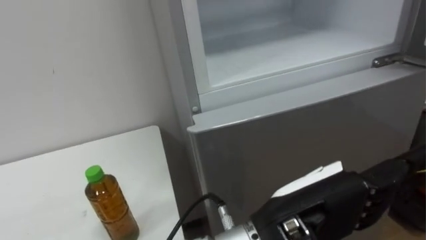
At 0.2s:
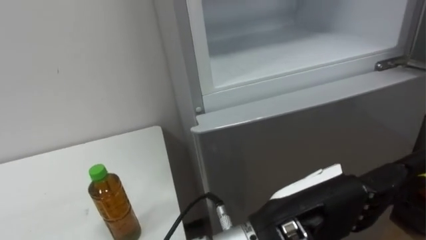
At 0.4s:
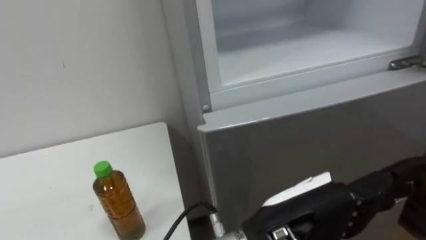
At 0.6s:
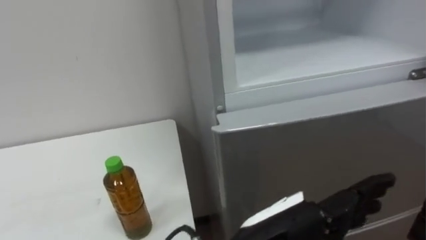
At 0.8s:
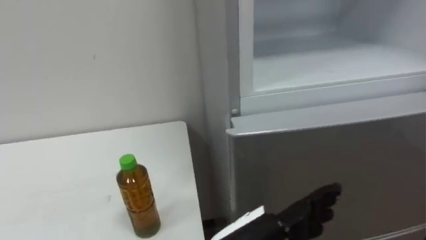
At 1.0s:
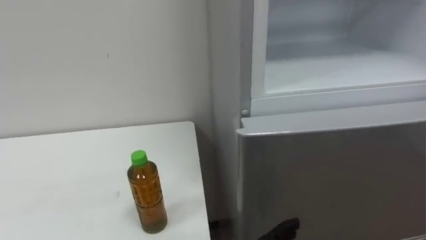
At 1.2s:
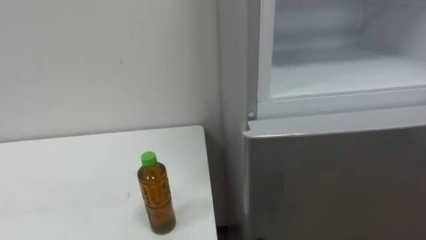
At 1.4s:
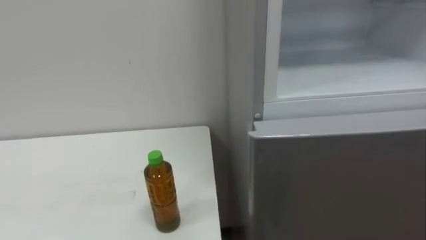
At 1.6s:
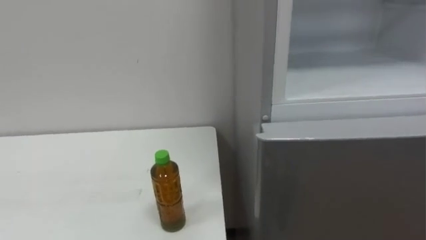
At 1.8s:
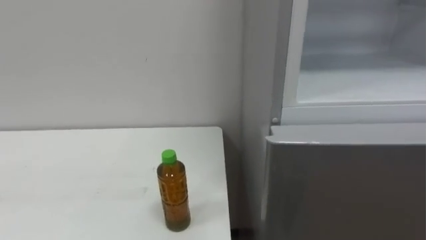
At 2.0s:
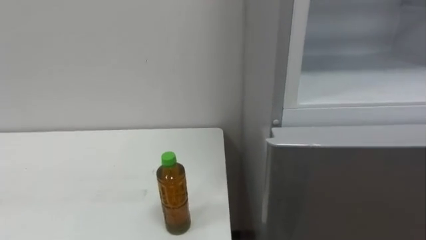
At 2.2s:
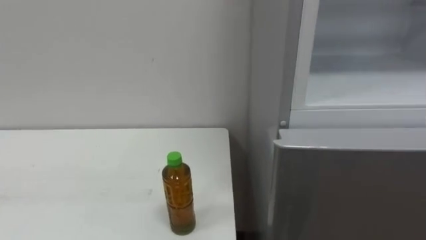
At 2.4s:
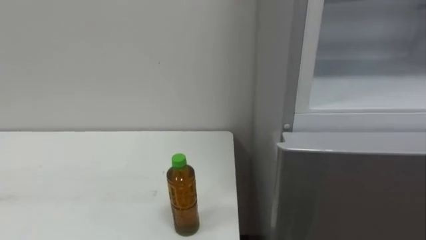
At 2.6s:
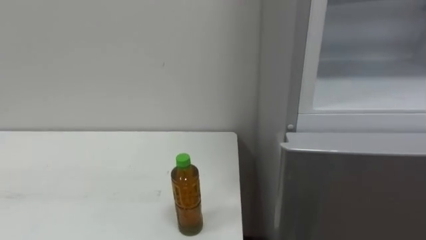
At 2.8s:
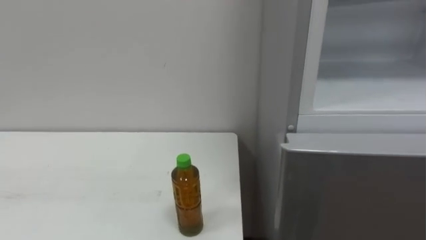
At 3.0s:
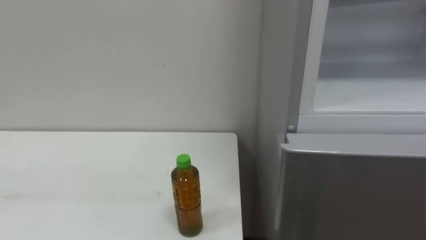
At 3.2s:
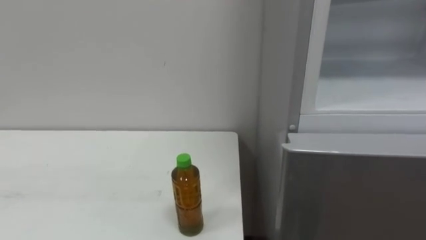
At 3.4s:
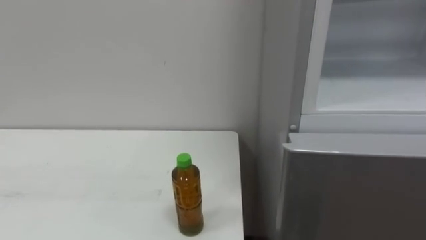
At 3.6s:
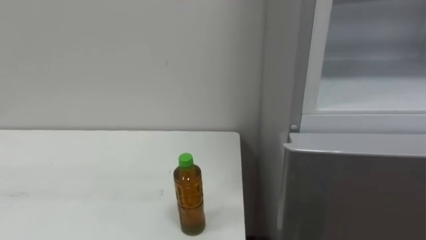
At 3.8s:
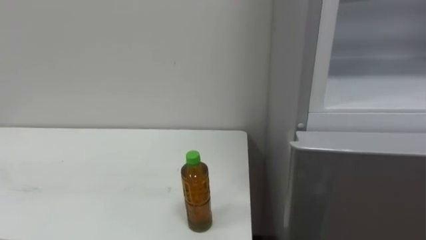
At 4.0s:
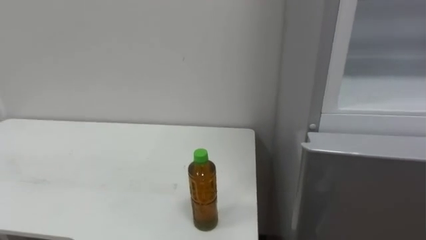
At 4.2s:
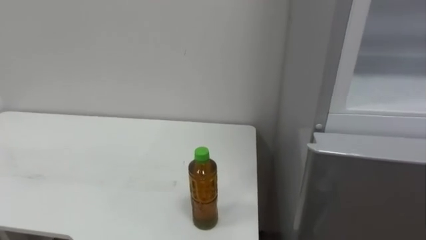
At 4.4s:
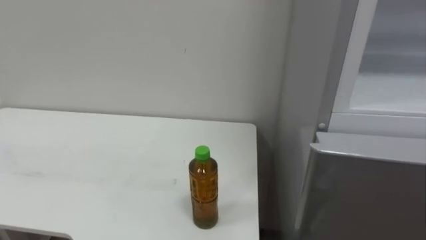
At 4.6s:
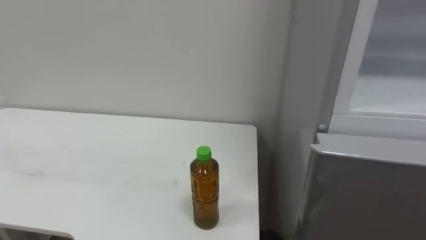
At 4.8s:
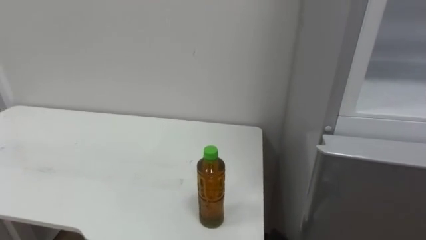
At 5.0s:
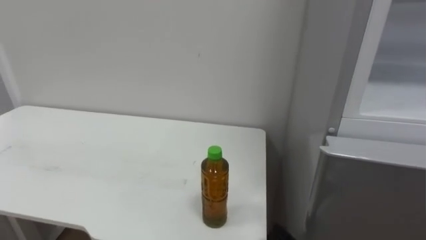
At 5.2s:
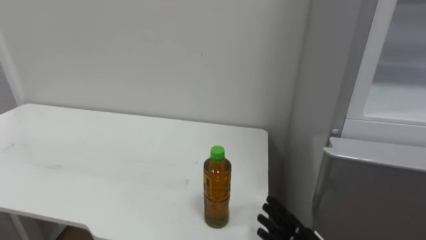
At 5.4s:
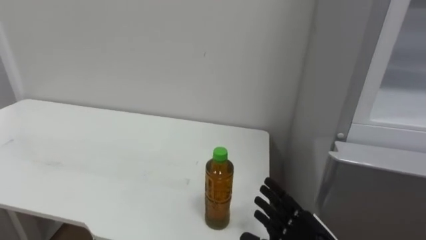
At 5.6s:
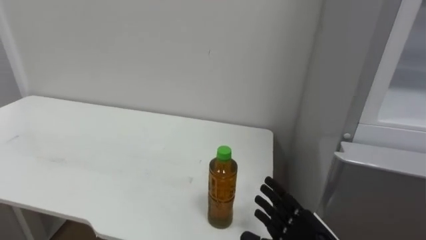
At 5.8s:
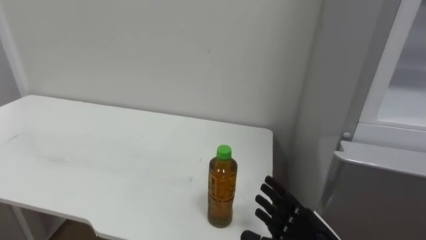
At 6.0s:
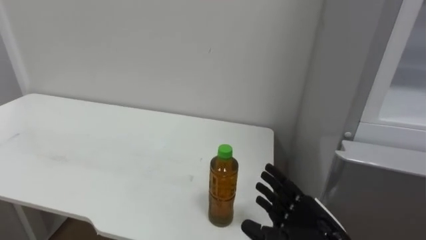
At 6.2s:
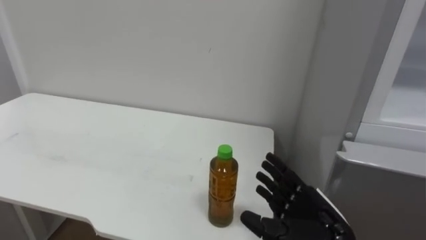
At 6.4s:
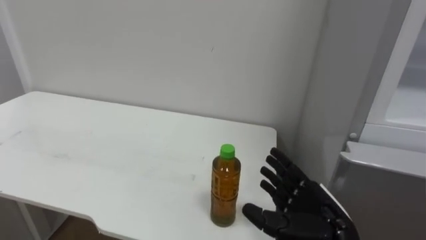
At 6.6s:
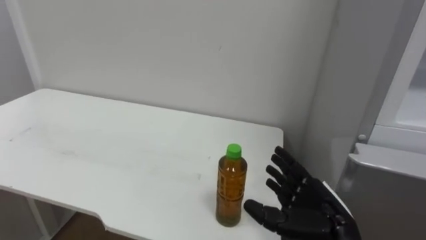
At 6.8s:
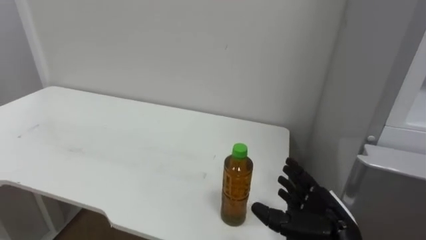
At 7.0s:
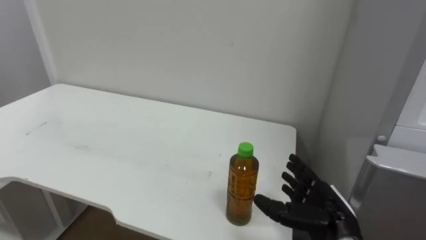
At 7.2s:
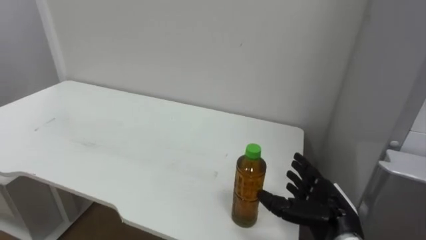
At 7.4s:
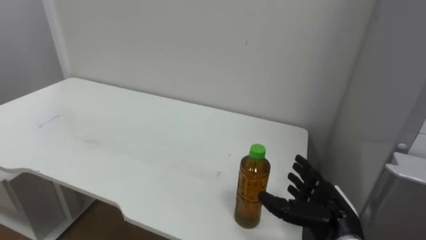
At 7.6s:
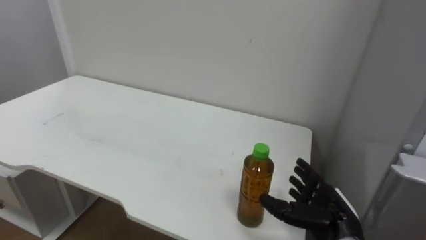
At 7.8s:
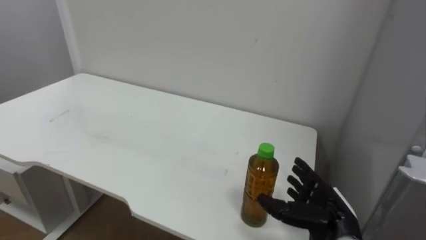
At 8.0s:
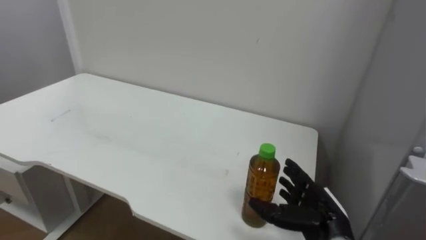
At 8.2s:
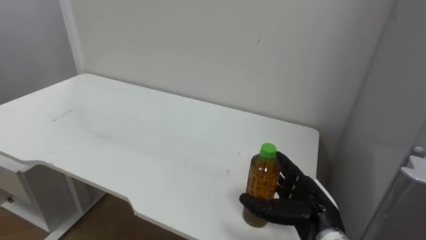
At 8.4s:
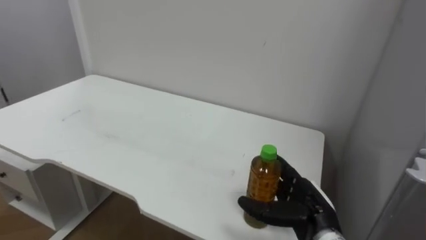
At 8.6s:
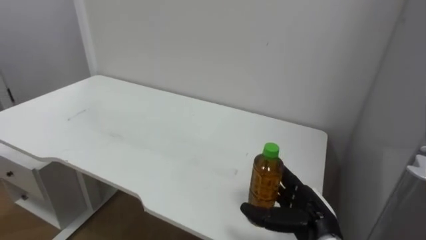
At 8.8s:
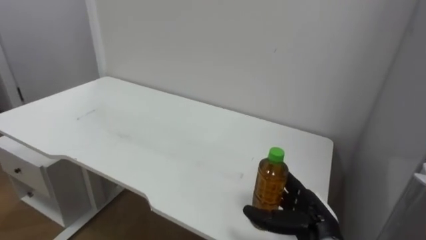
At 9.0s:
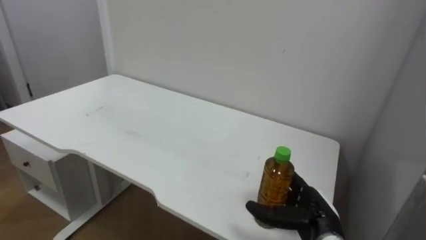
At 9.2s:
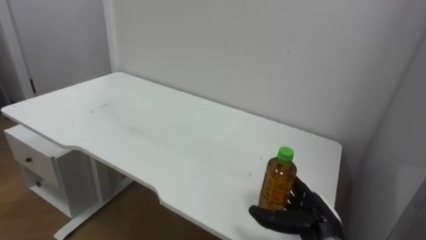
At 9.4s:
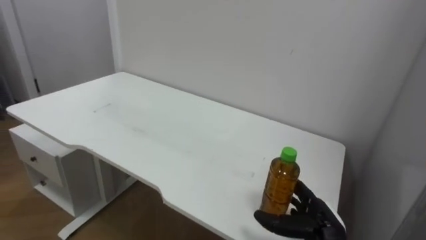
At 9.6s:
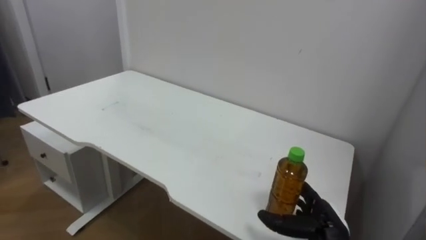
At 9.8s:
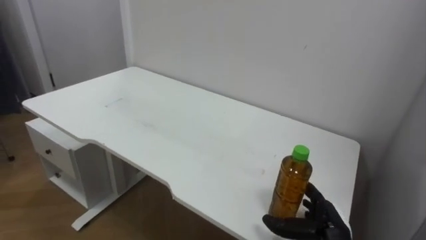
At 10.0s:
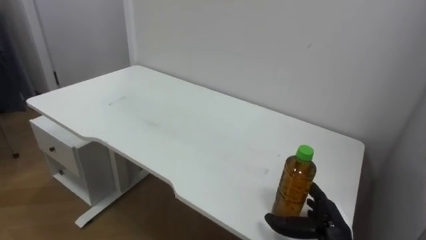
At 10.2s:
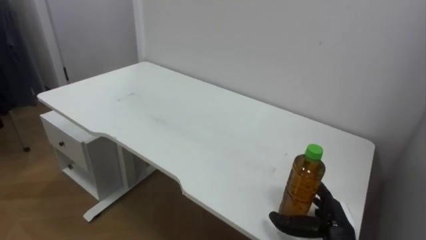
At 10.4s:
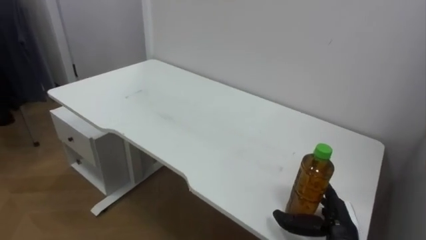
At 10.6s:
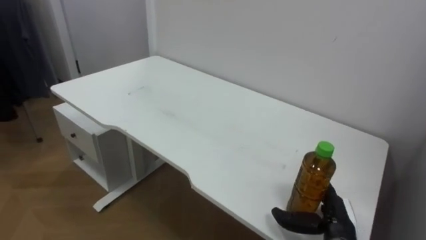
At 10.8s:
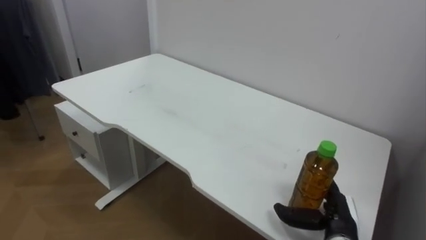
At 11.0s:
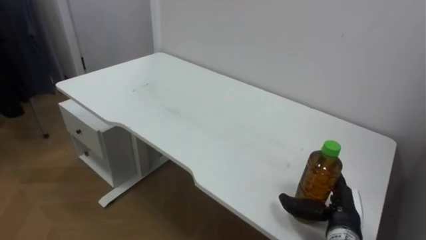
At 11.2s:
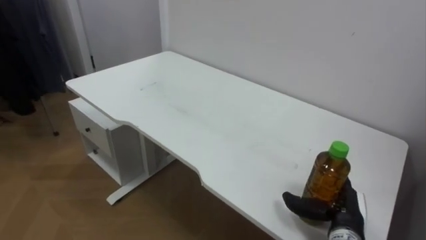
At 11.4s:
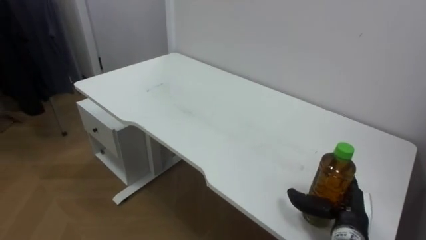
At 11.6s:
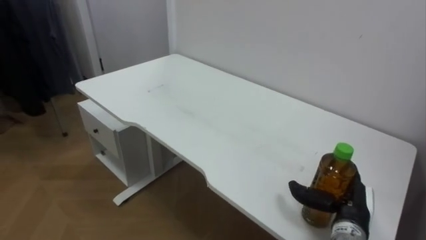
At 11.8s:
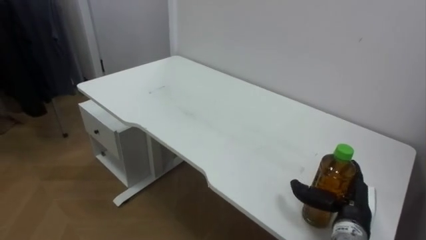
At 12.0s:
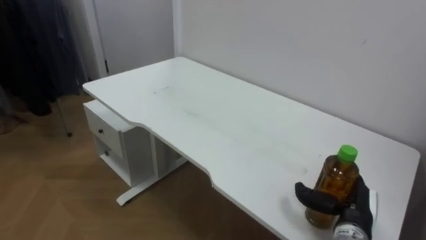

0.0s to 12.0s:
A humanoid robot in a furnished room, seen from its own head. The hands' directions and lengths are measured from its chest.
Task of the whole recording: Open the upper refrigerator door, put the drink from the table into the refrigerator, and then close the refrigerator door.
6.0s to 7.6s: The right hand ends up approximately 5 cm from where it was.
9.0s to 10.4s: The right hand shifts by some 5 cm.

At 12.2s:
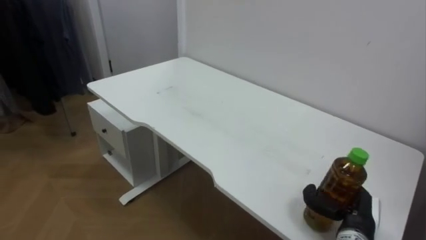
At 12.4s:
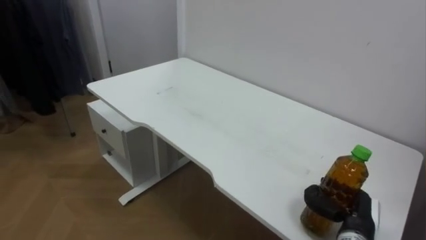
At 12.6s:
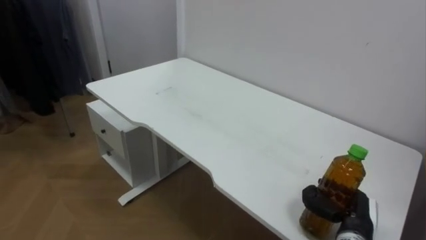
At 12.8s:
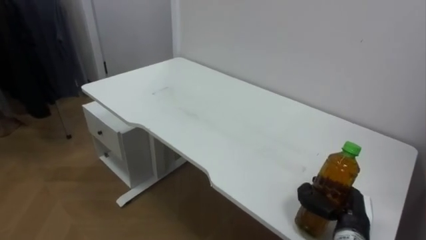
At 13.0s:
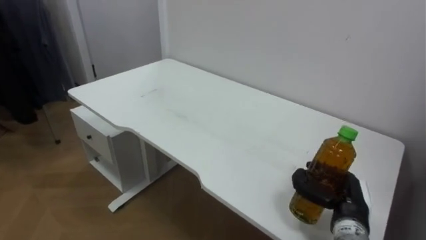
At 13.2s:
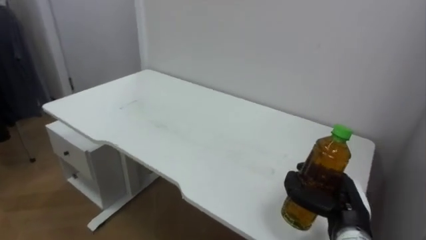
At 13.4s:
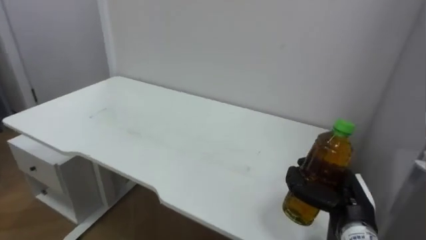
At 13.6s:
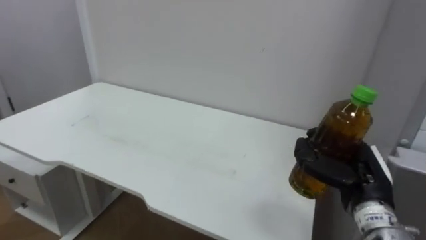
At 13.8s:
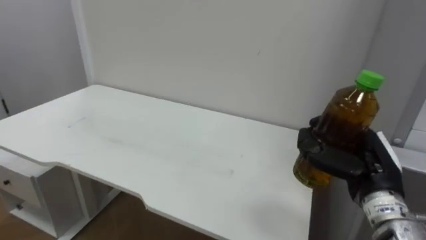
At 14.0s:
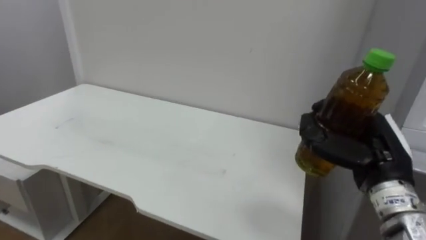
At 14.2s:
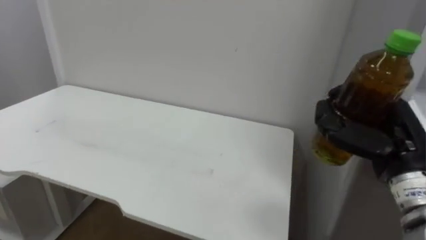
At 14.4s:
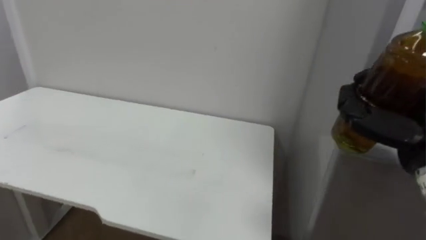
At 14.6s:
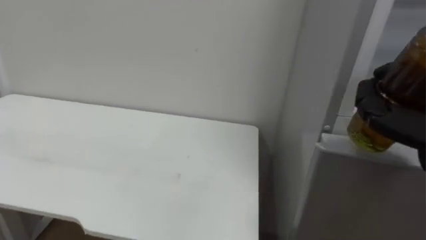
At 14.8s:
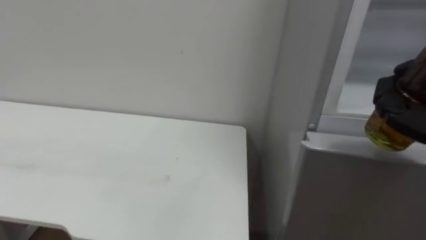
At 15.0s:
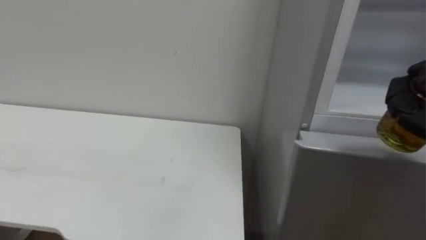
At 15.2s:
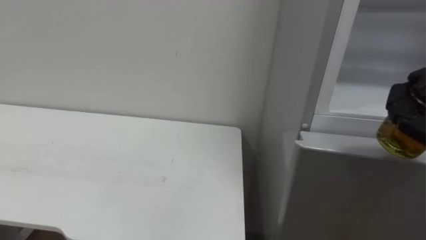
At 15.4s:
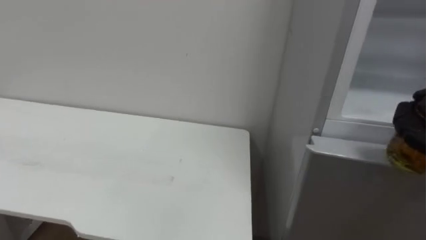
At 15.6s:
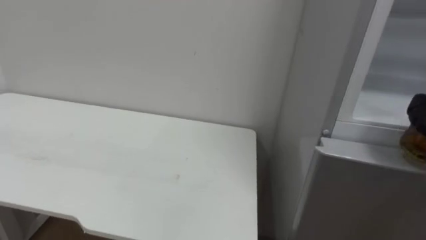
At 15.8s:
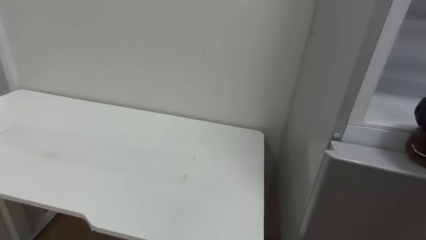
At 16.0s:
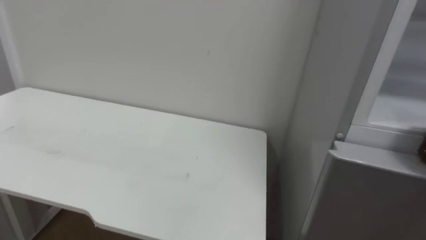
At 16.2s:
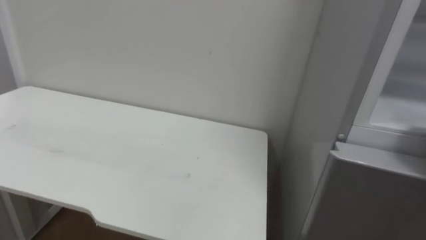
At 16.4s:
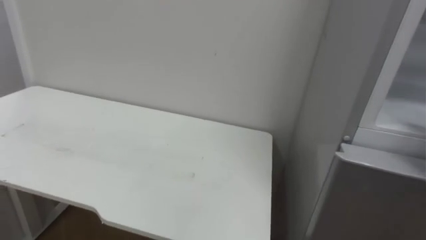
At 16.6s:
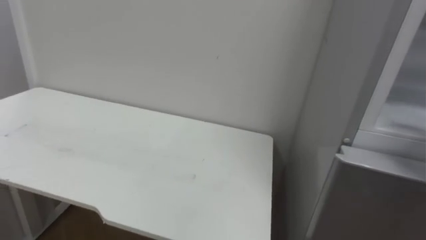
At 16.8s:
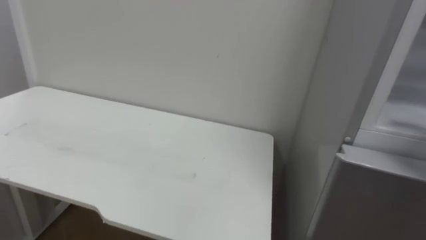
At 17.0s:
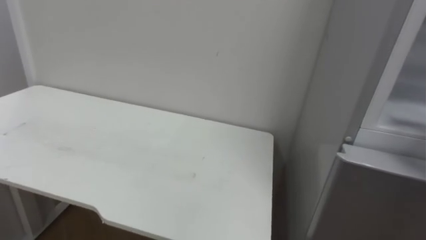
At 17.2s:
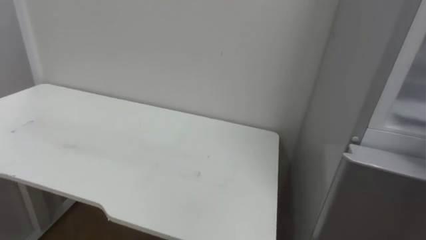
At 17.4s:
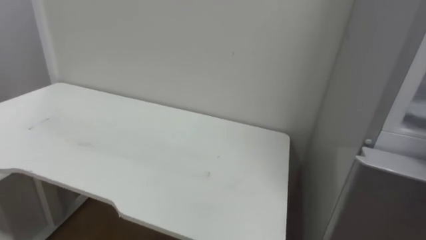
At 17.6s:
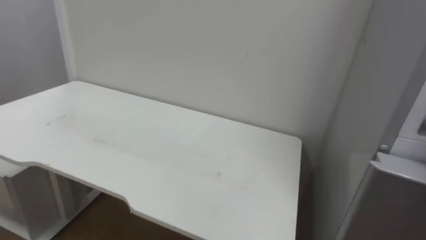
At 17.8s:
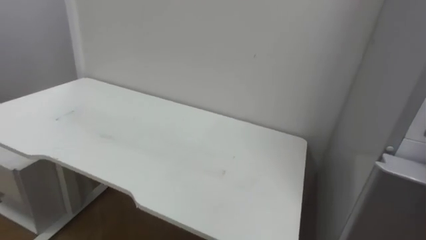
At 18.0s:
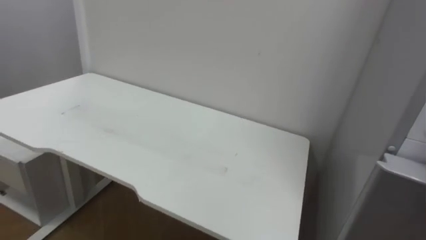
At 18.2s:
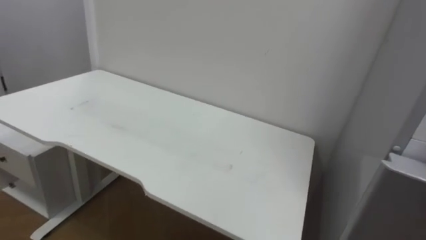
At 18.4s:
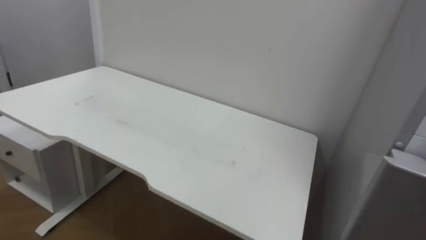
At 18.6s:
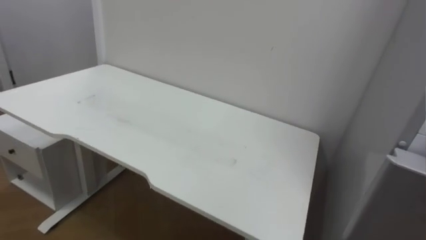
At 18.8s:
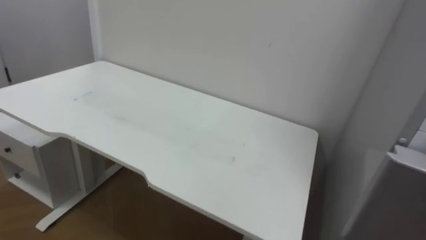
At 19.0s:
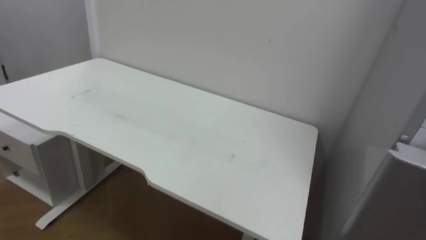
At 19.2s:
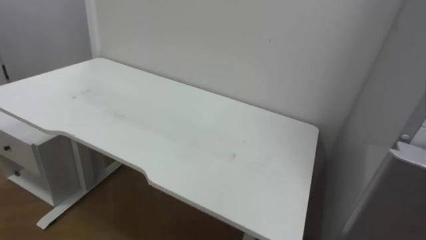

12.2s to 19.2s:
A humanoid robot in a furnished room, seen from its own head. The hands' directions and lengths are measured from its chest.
Task of the whole recording: Open the upper refrigerator door, put the drink from the table into the refrigerator, and then close the refrigerator door.
12.2s to 13.6s: The right hand travels upward by approximately 10 cm.
